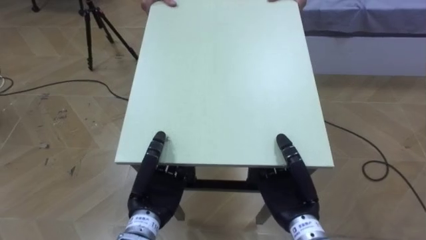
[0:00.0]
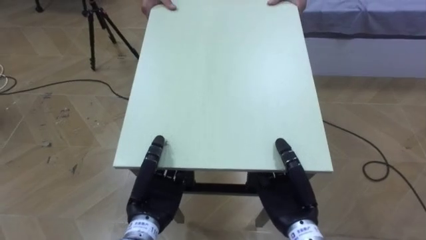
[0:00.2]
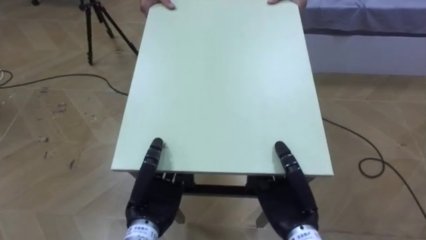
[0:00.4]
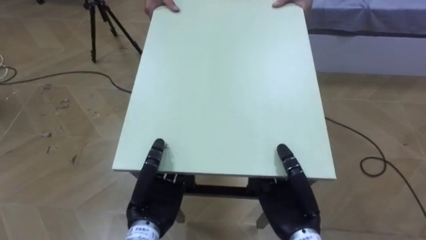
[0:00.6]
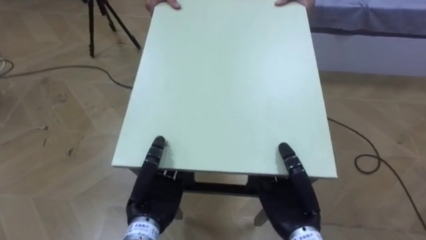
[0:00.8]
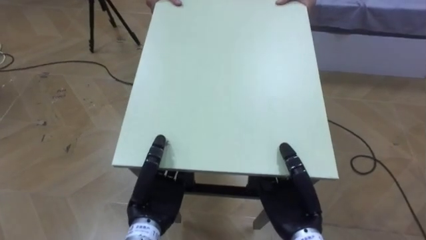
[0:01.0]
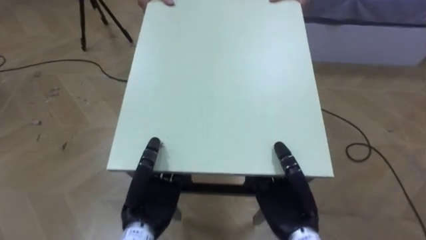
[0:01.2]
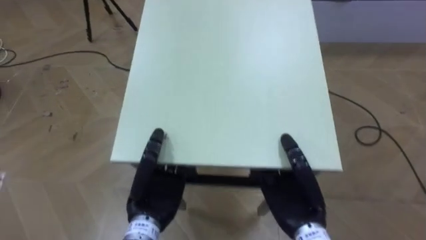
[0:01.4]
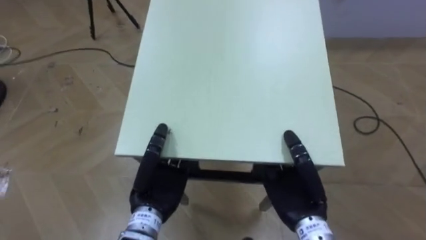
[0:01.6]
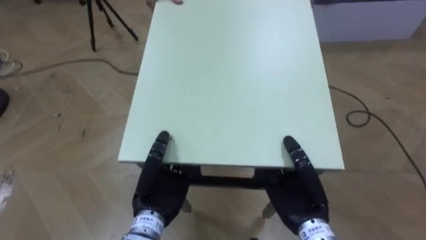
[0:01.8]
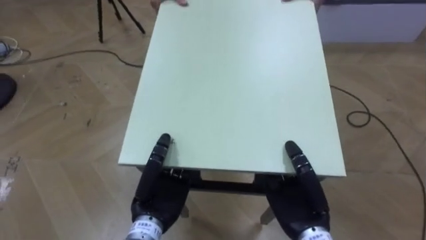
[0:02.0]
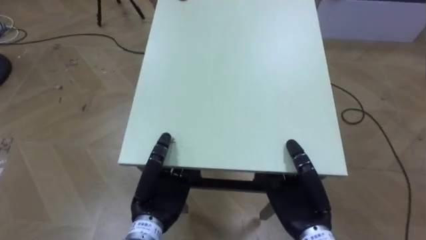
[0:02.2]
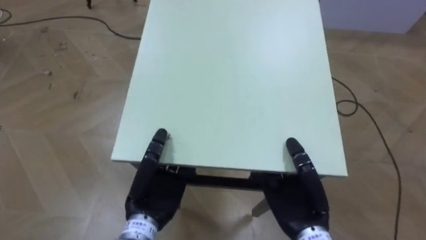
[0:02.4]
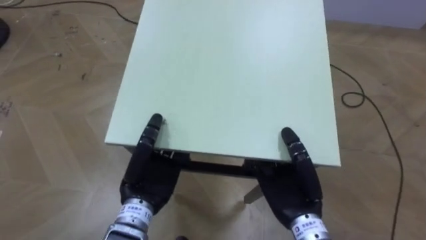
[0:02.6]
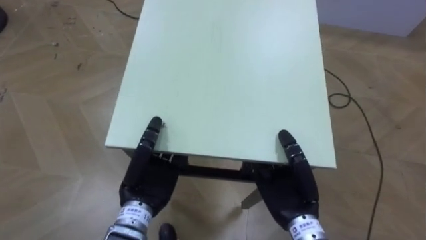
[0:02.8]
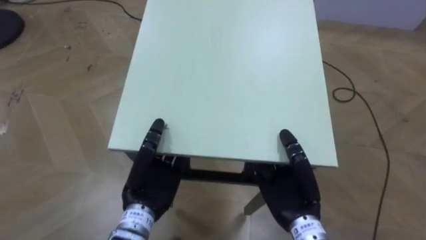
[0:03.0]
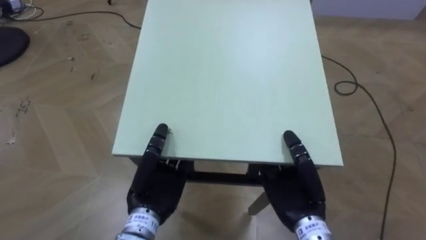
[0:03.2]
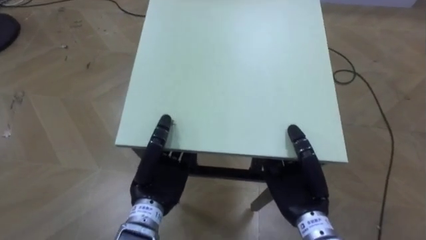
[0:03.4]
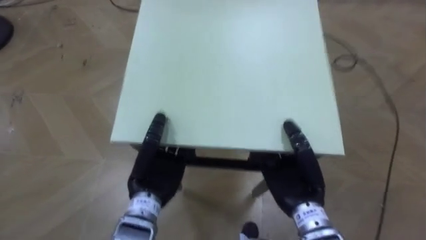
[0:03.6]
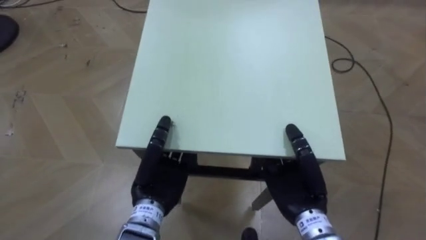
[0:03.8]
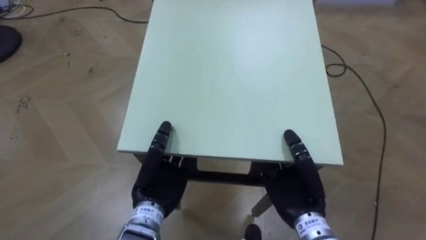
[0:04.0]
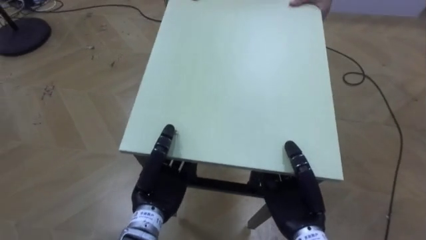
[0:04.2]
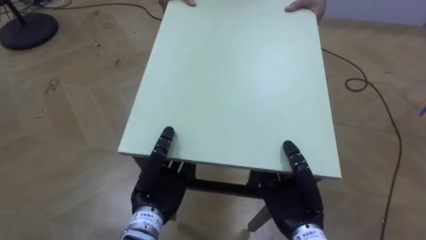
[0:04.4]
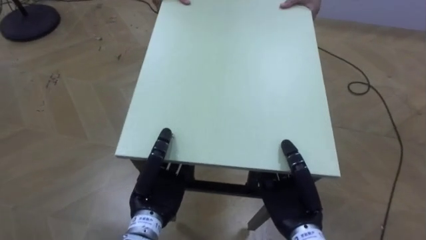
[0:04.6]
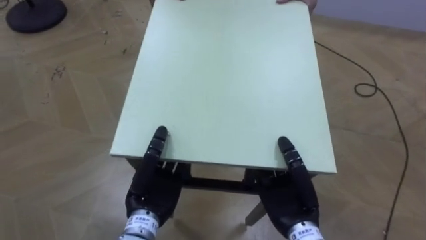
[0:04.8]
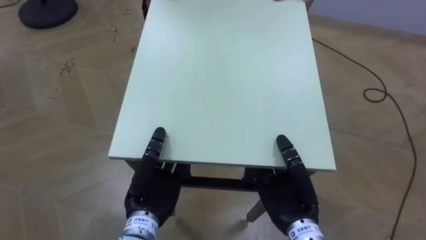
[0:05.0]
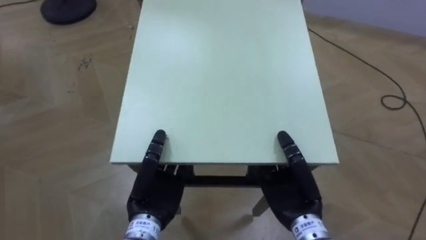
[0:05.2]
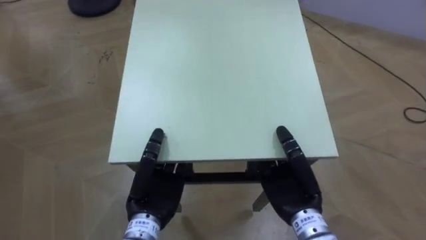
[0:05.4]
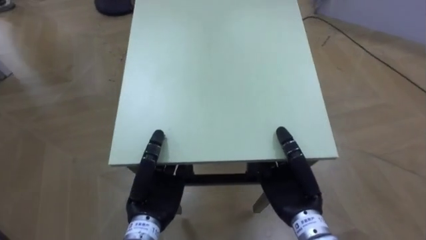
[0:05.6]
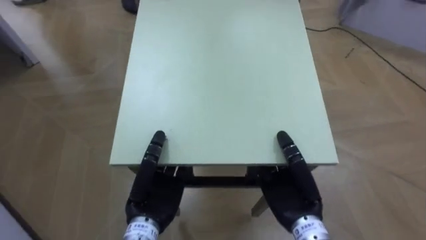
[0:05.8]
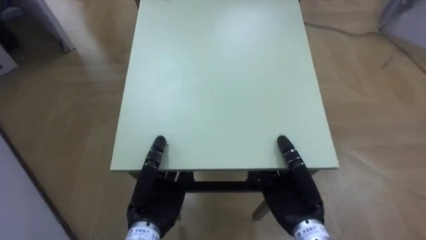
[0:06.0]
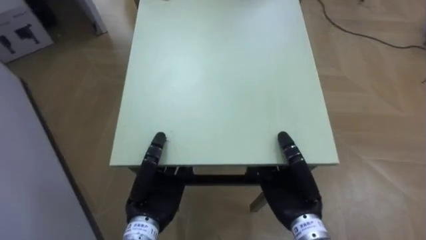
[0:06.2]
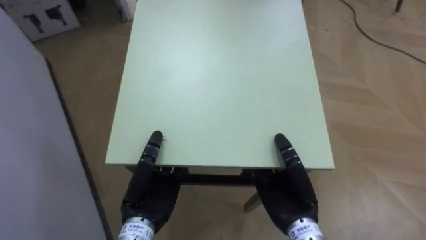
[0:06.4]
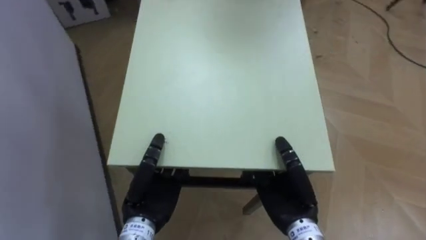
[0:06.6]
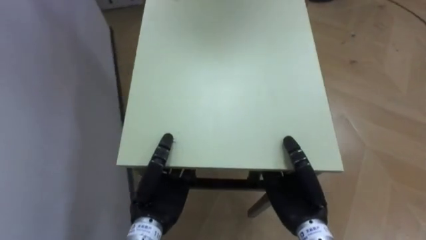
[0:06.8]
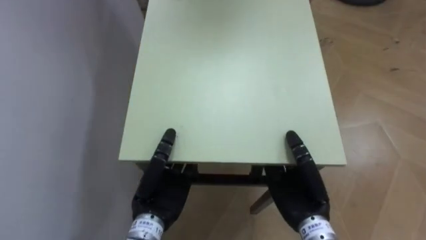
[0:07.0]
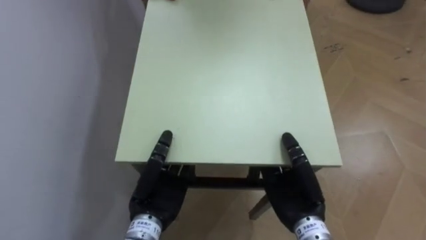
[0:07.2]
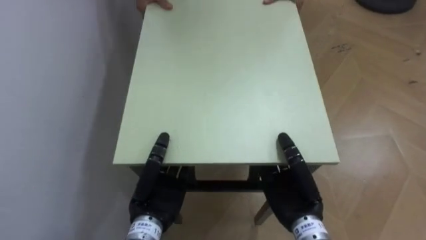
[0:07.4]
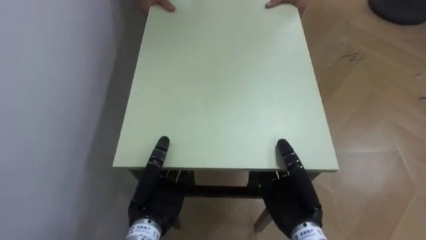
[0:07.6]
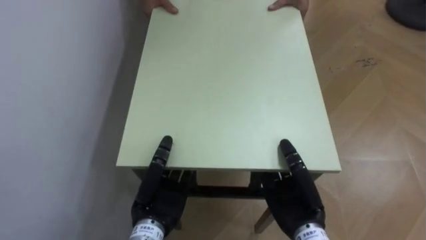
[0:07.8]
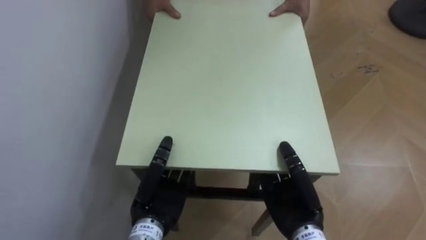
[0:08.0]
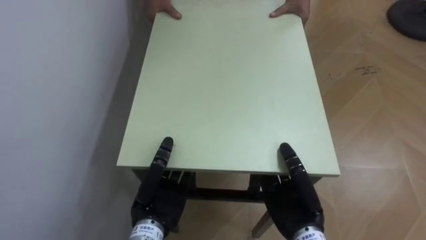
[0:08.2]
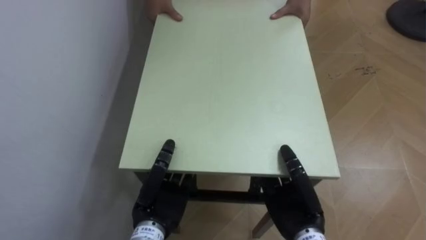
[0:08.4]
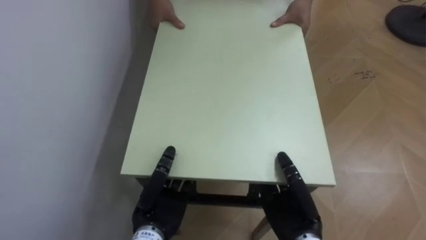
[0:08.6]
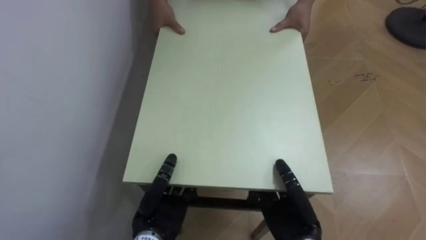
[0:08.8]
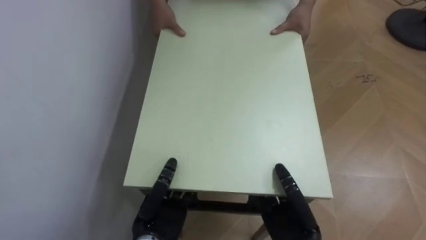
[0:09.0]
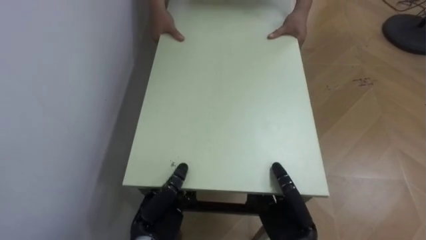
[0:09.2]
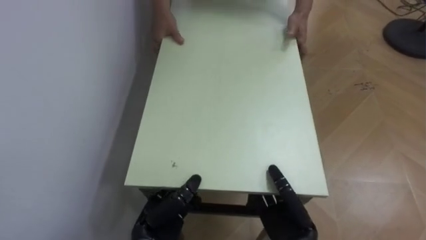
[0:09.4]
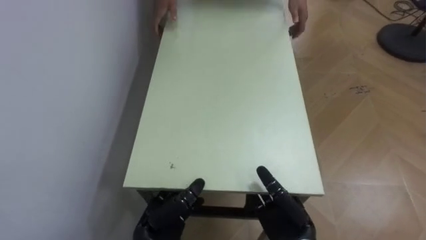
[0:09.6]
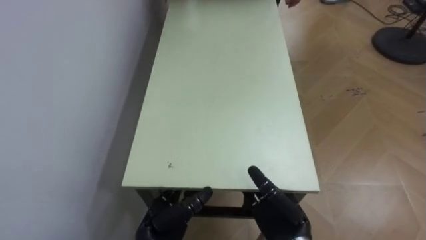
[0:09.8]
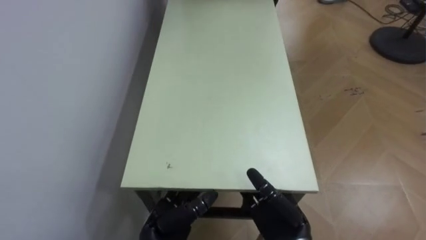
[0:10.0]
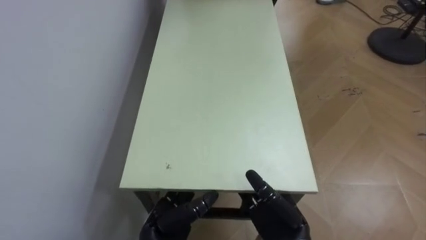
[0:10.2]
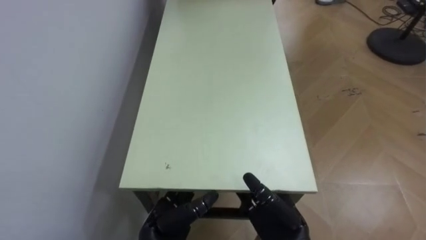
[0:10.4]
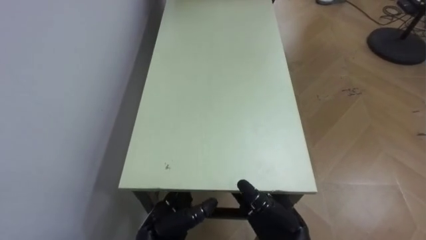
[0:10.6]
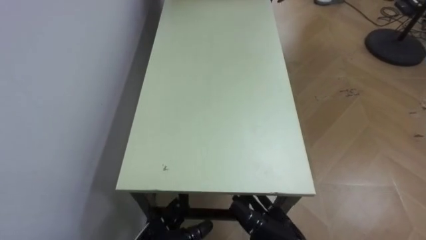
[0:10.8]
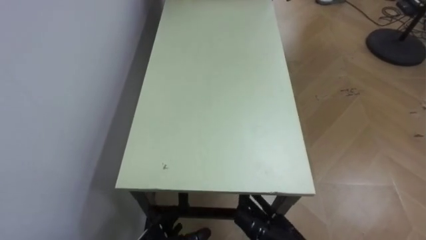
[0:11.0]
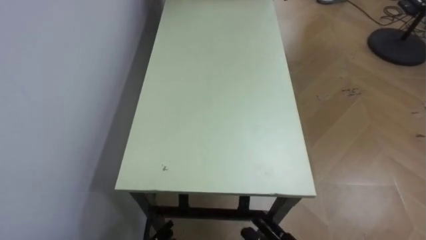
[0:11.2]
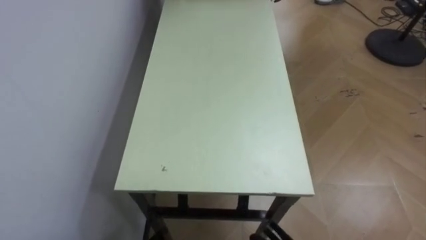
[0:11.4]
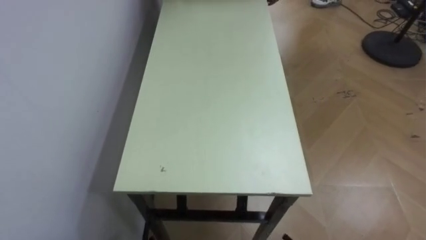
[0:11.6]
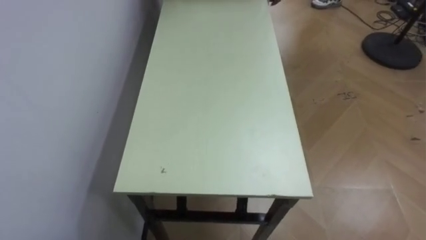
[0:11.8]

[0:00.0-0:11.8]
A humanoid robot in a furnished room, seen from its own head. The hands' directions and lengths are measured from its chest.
Task of the whole recording: Move the table to the back left with someone.
0:04.4 to 0:06.0: The robot turns to its left by approximately 35 degrees.
0:06.0 to 0:07.4: The robot faces approximately 45 degrees further to its left.
0:07.4 to 0:08.8: The right hand ends up approximately 5 cm from where it was.
0:08.8 to 0:10.4: The right hand opens up. Meanwhile the left hand opens its fingers.
